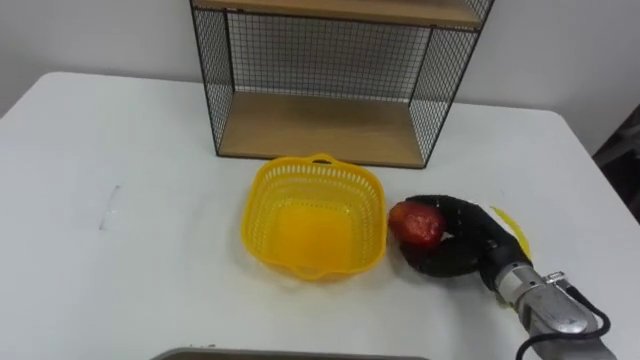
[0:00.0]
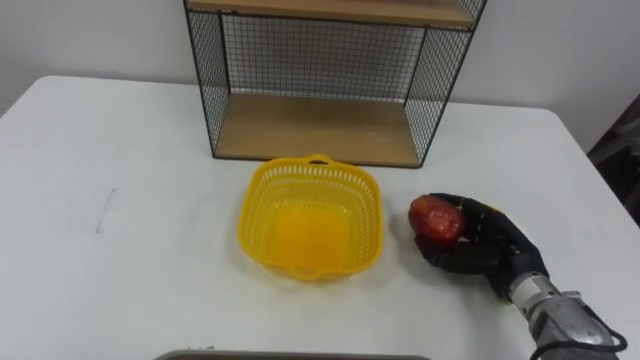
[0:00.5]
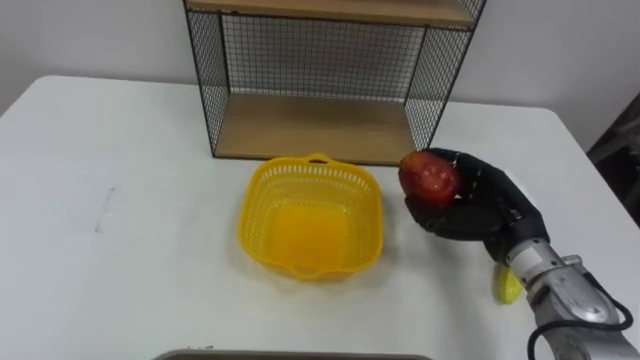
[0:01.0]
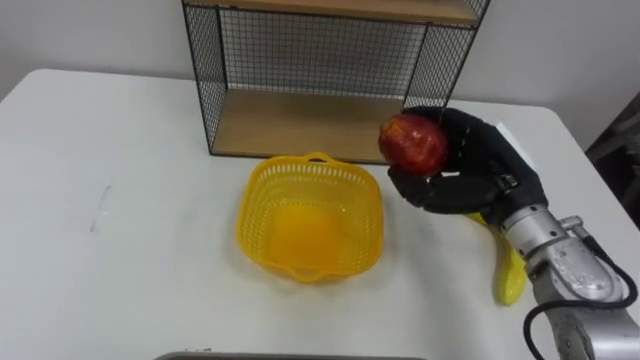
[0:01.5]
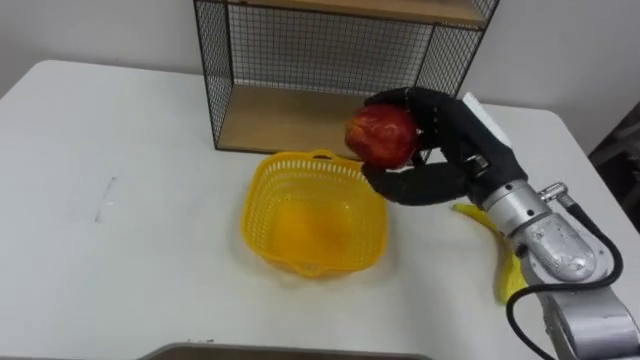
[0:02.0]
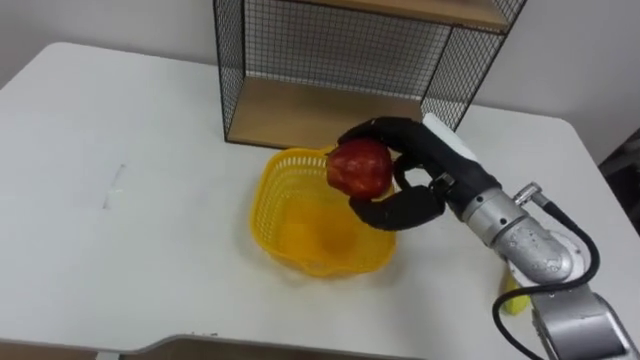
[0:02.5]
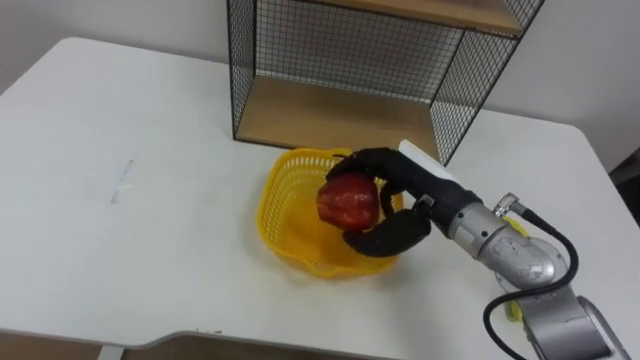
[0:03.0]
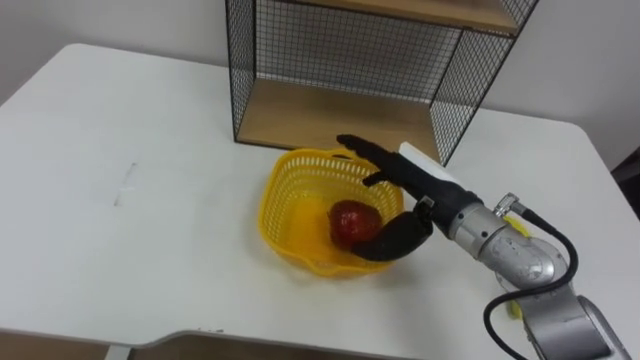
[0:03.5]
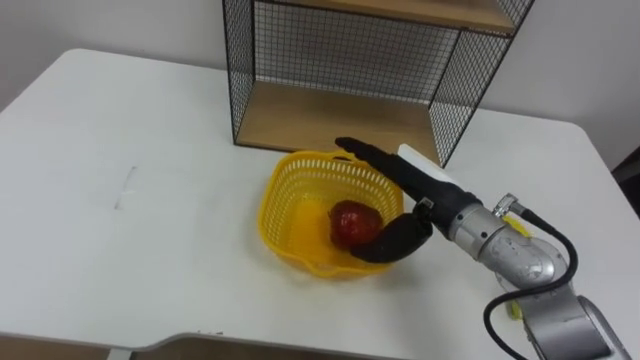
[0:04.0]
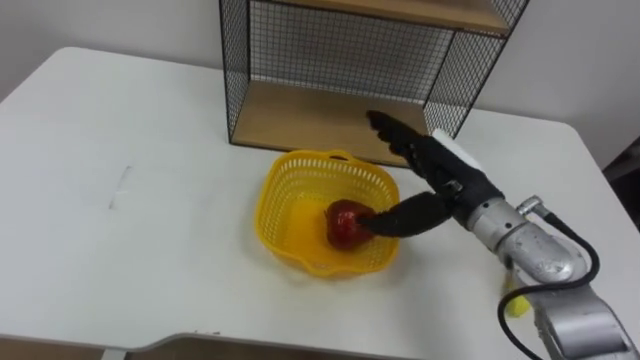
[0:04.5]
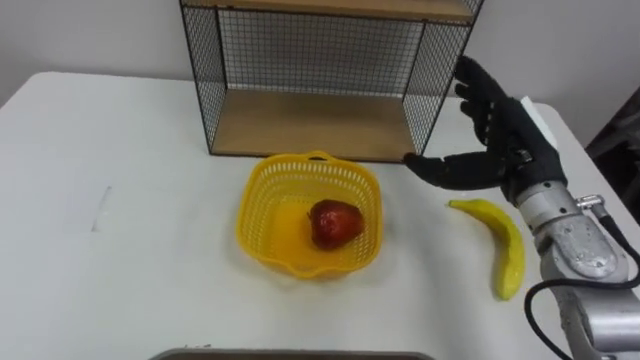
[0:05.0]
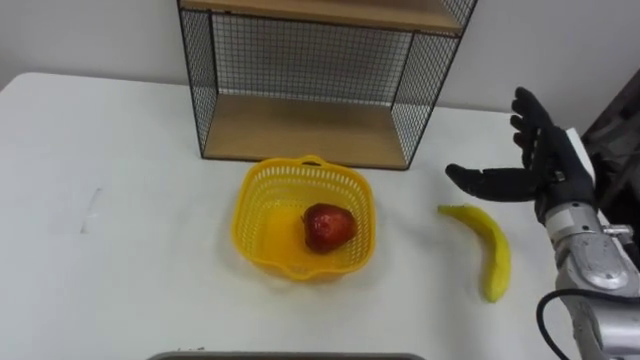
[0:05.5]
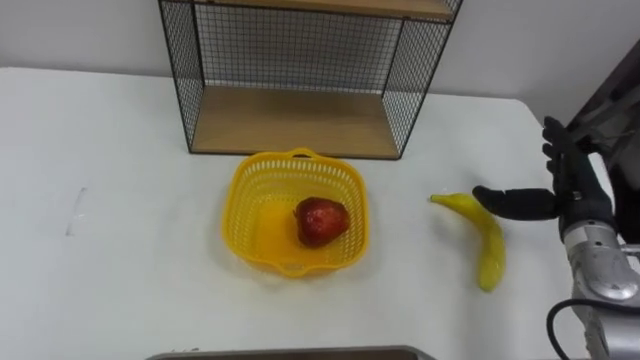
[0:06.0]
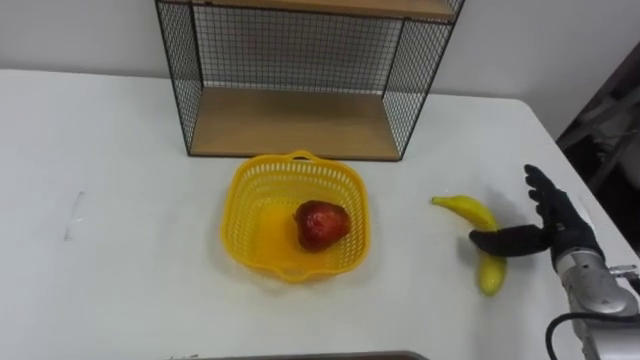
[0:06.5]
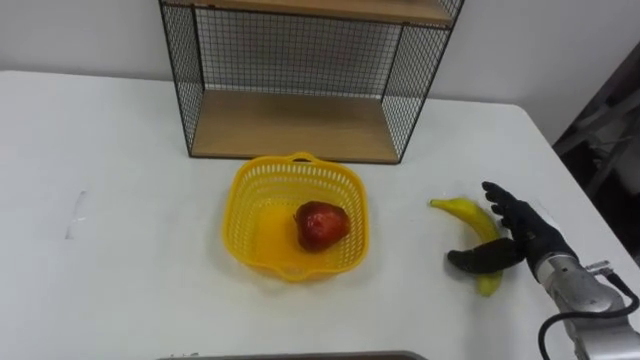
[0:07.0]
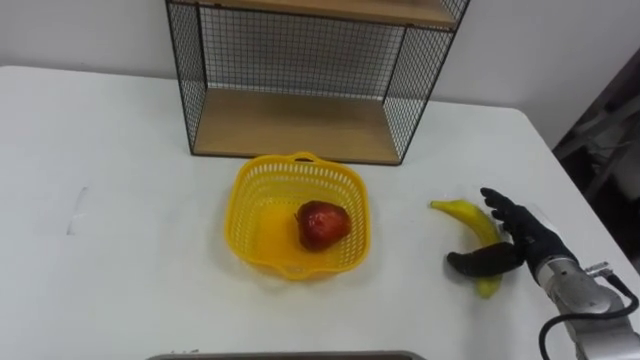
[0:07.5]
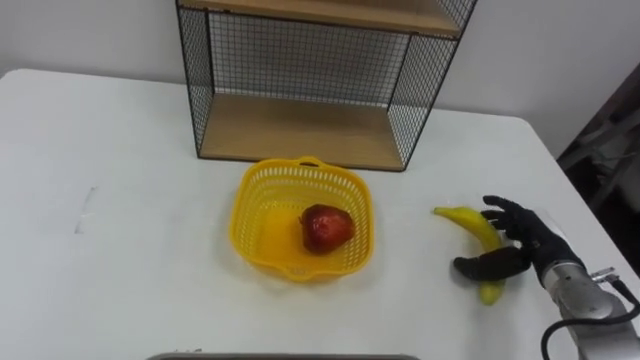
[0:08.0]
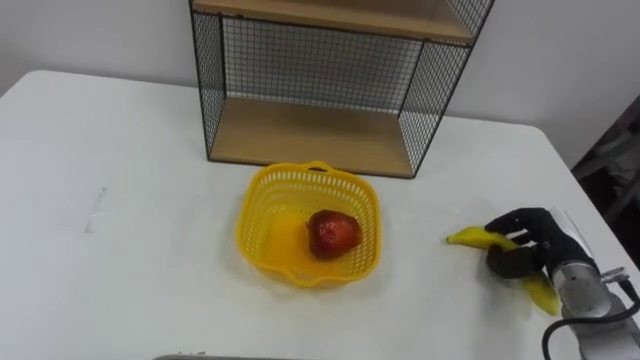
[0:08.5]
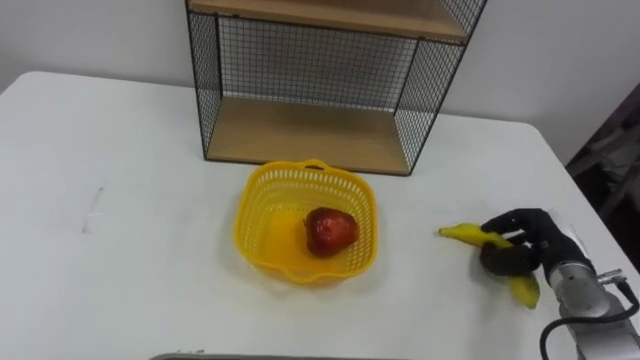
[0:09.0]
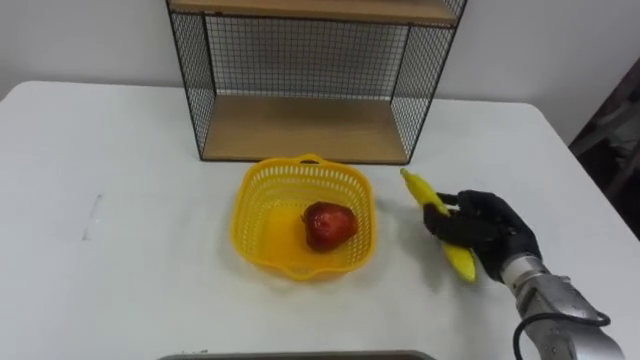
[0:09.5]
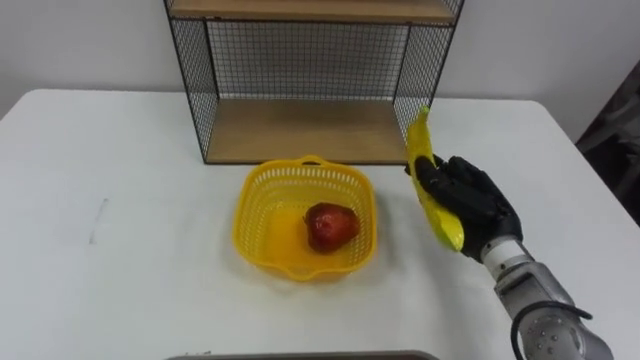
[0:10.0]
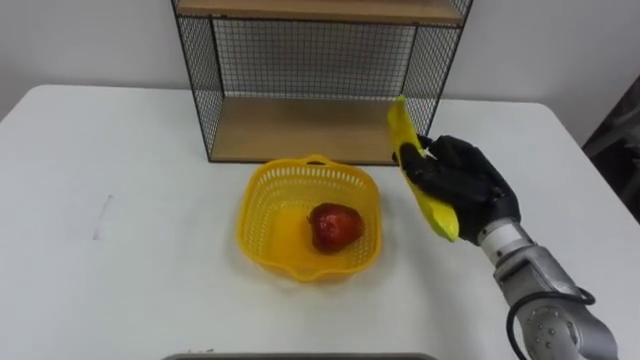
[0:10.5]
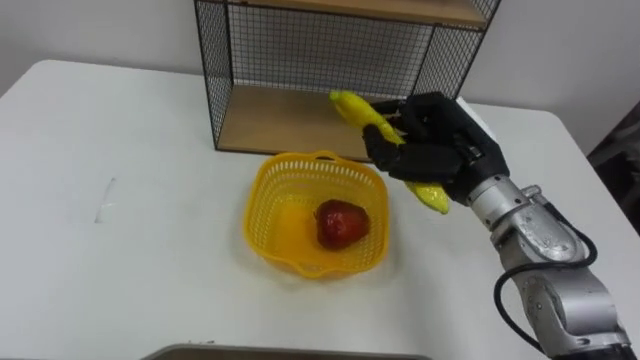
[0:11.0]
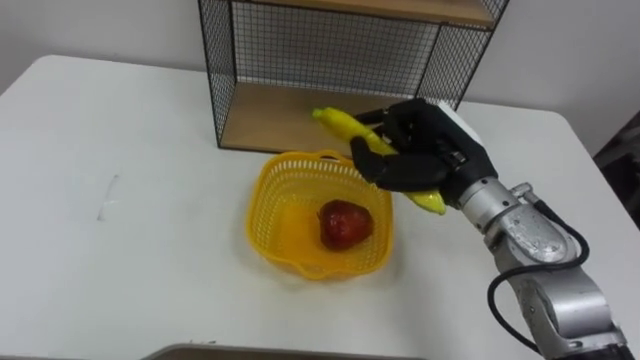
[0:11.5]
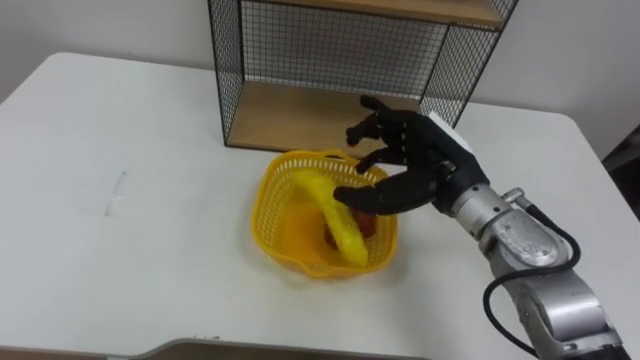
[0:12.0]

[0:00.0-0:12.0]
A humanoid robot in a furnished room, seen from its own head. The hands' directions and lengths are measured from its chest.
Task of the whole recording: Put the fruit on the table into the basket, then place the basket on the shelf.
0:00.0 to 0:02.0: The right hand shifts some 15 cm upward.
0:02.0 to 0:04.0: The right hand travels downward by approximately 5 cm, and opens.
0:04.0 to 0:06.0: The right hand travels to the right by roughly 20 cm.
0:06.0 to 0:08.0: The right hand goes roughly 10 cm downward.
0:08.0 to 0:10.0: The right hand is displaced to the left and upward by approximately 10 cm, and closes its fingers.
0:10.0 to 0:12.0: The right hand travels upward and to the left by about 10 cm, and opens its fingers.

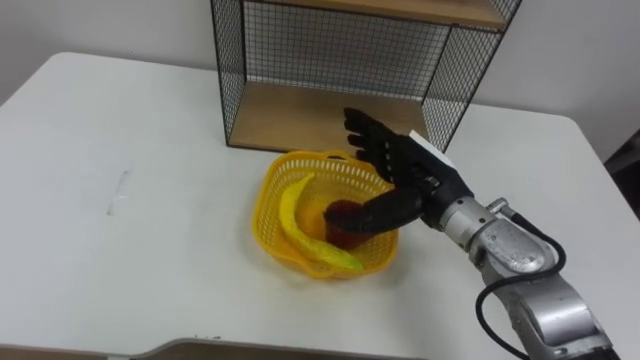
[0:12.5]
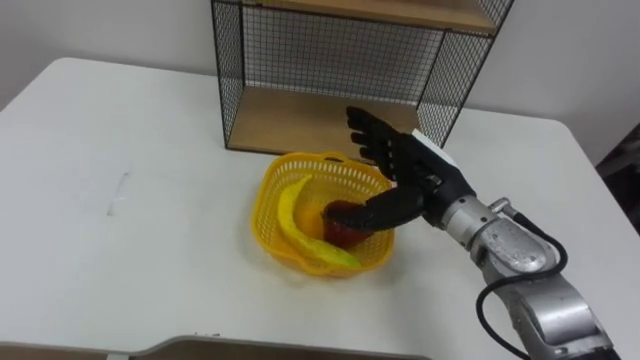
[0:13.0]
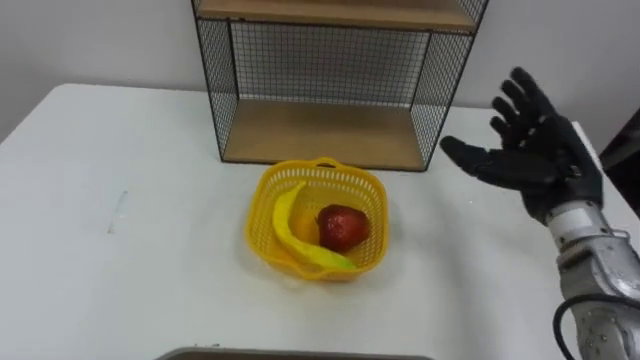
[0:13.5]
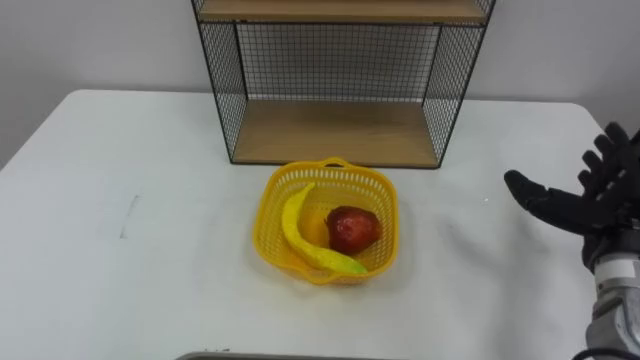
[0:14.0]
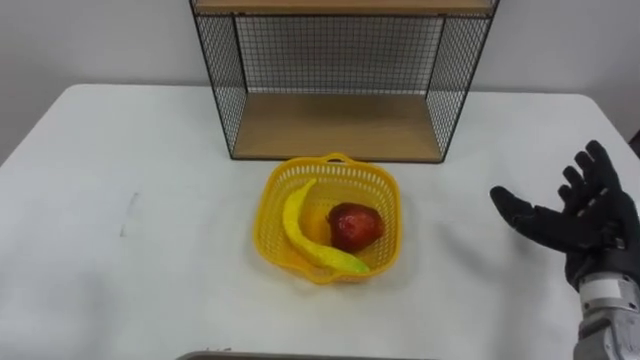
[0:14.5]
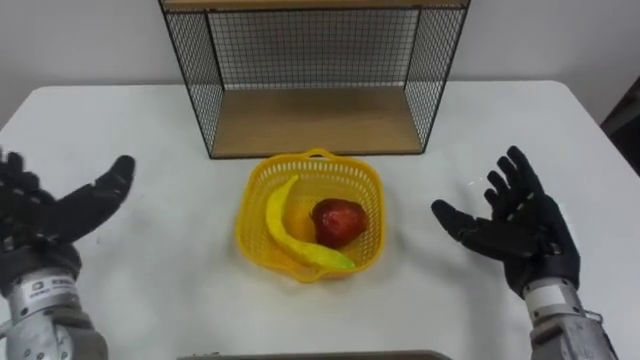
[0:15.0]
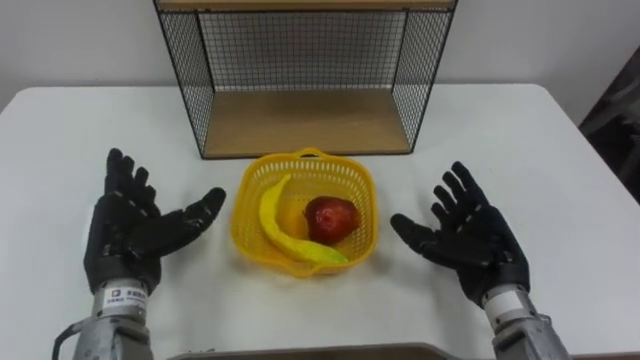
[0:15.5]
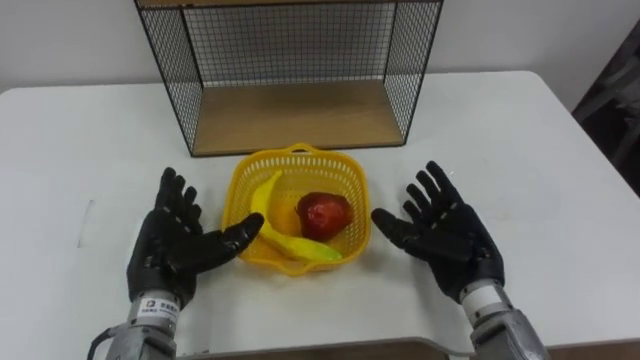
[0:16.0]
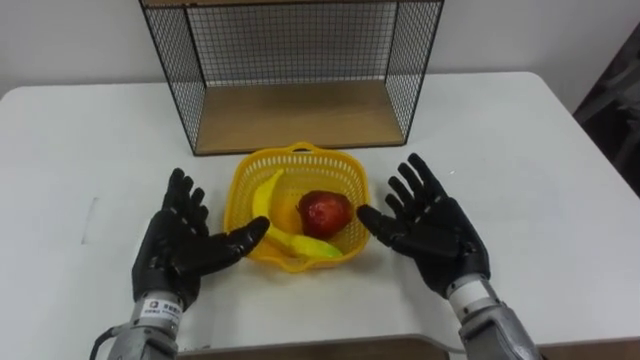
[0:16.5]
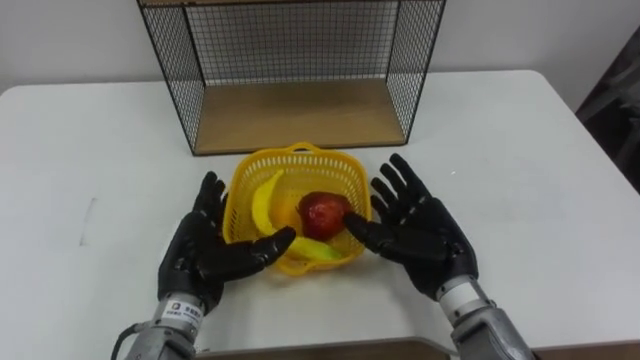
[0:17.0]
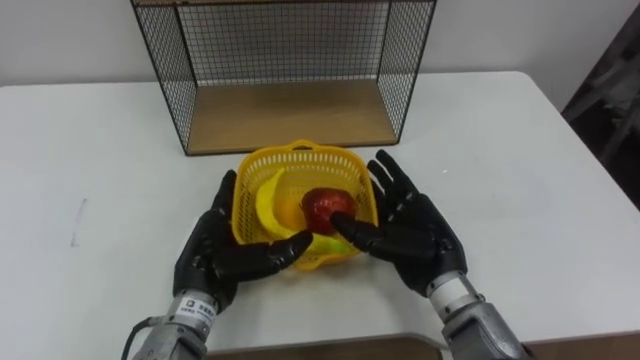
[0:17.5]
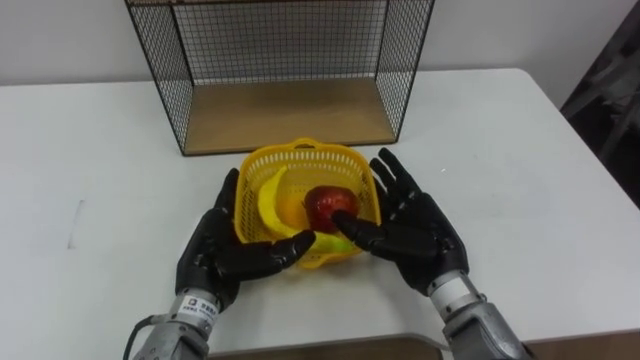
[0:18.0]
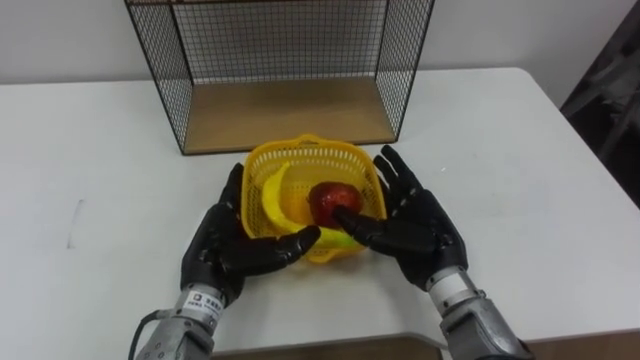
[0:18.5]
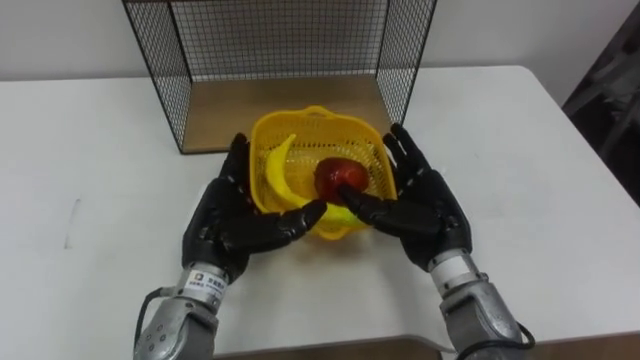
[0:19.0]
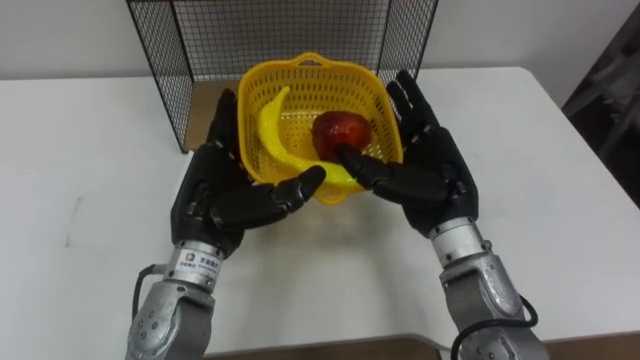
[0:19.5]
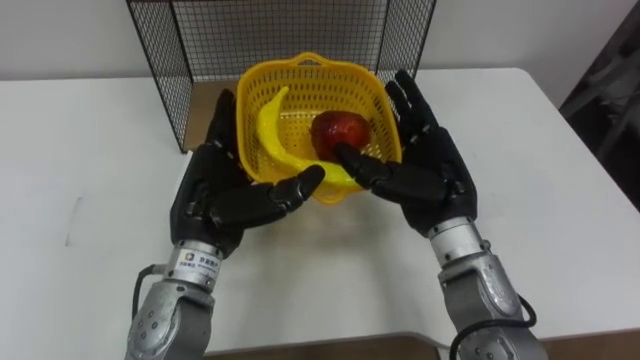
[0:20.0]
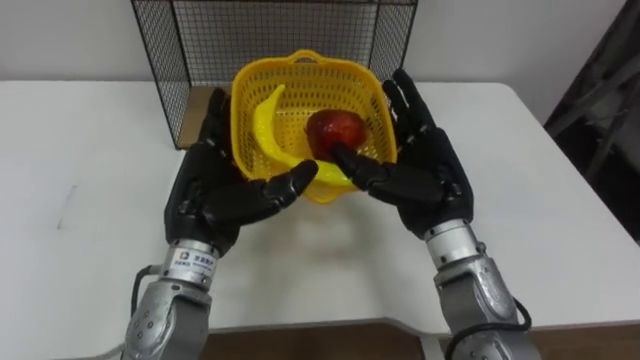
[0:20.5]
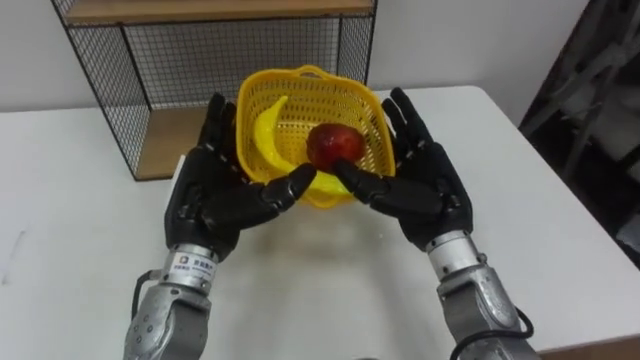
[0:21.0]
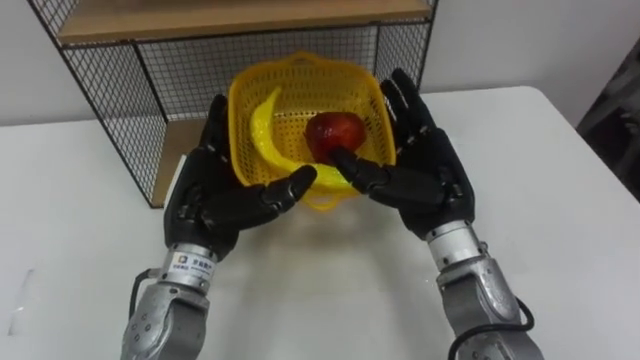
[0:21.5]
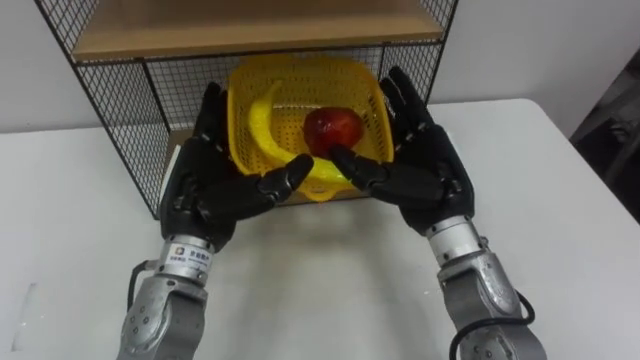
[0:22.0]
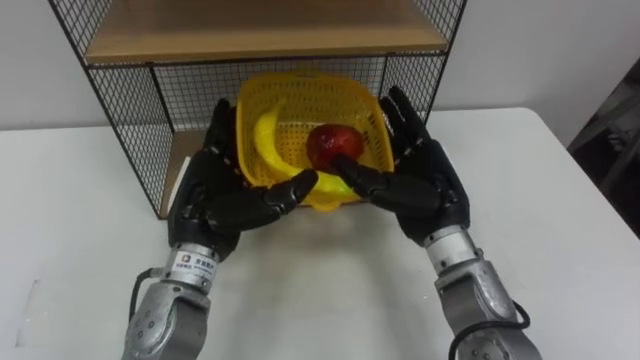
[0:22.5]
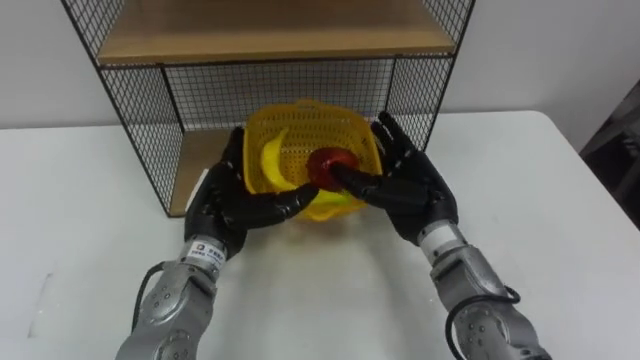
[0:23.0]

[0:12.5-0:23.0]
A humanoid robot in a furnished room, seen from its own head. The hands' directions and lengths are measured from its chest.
Task of the whole recording: Put the fruit on the table into the basket, then place the basket on the shelf.
0:12.5 to 0:14.5: The right hand moves to the right, approximately 20 cm.
0:14.5 to 0:16.5: The right hand travels to the left by some 15 cm.
0:16.5 to 0:19.0: The left hand goes some 5 cm to the right.
0:21.0 to 0:23.0: The left hand goes roughly 5 cm downward.
